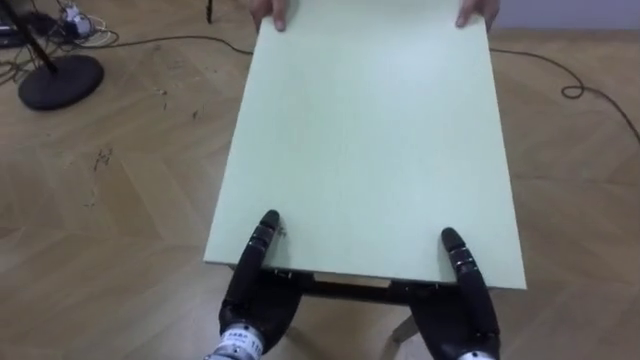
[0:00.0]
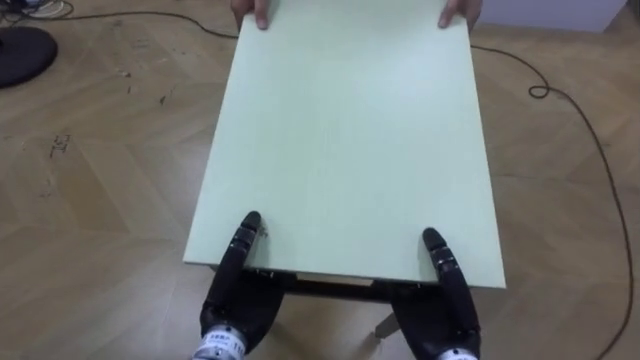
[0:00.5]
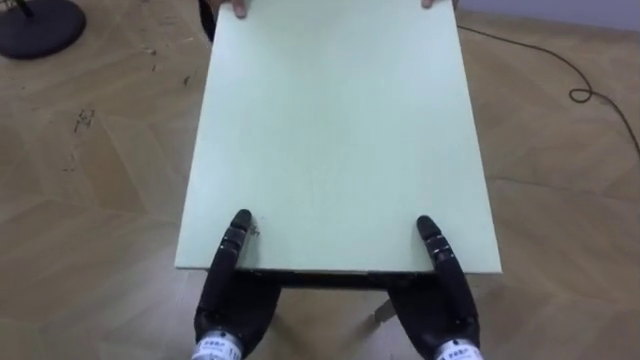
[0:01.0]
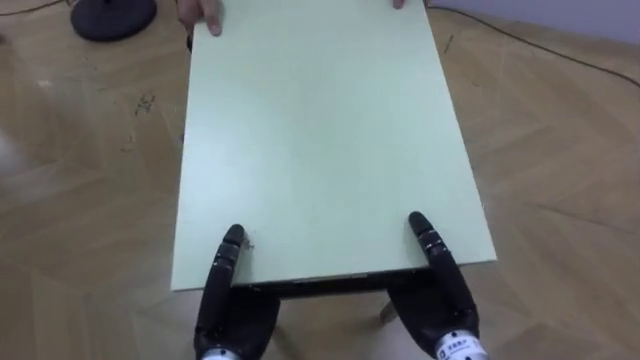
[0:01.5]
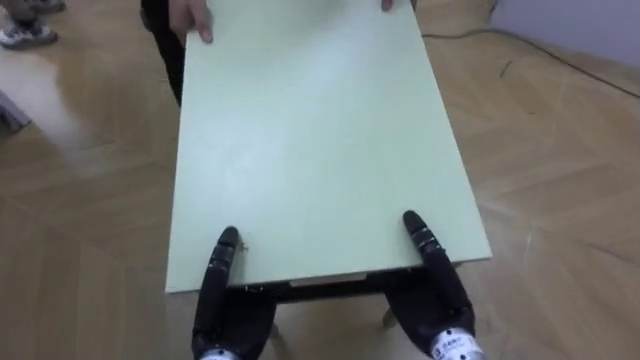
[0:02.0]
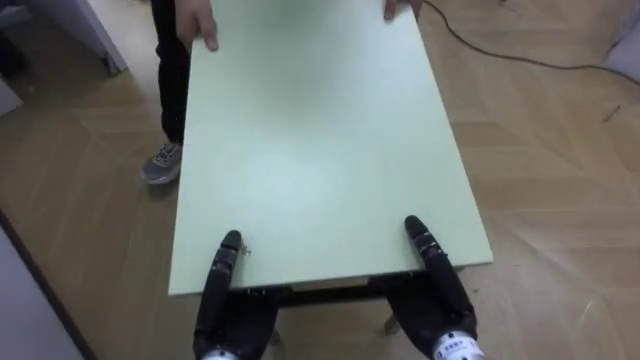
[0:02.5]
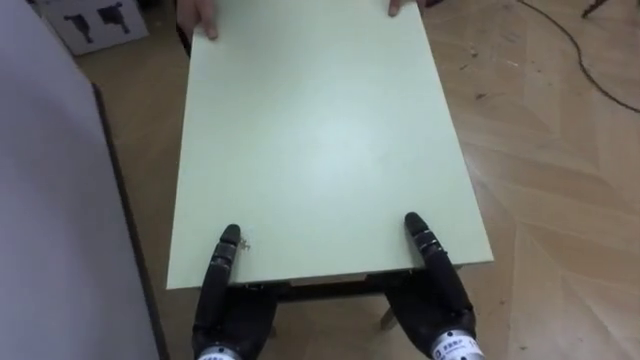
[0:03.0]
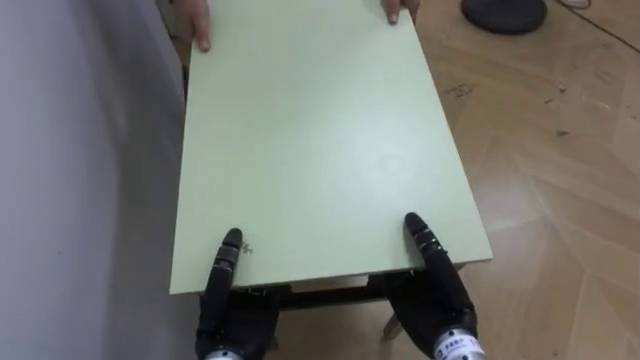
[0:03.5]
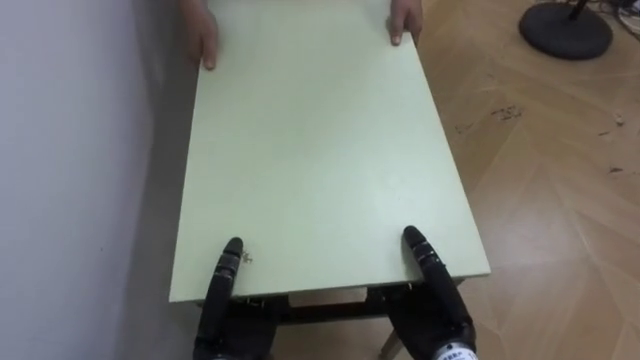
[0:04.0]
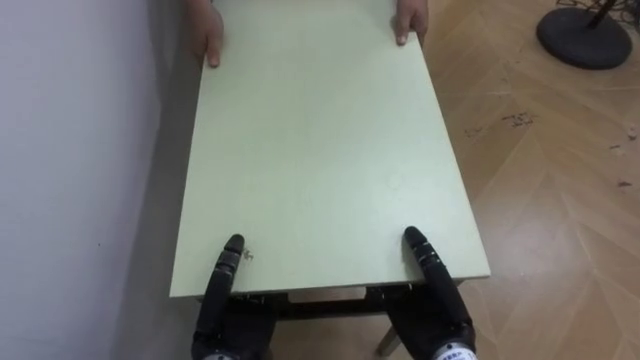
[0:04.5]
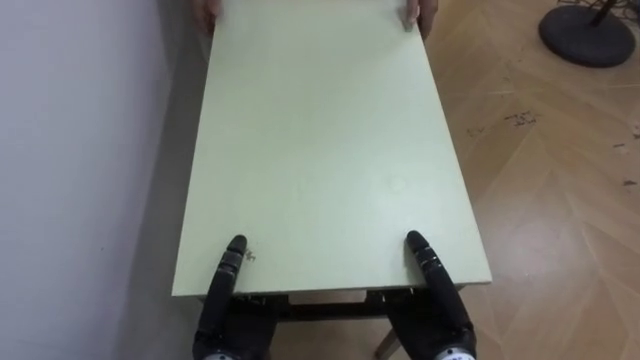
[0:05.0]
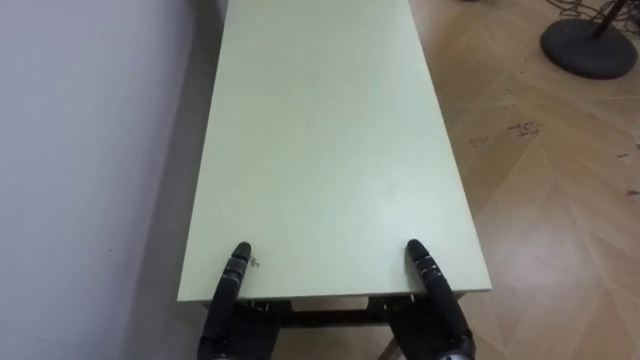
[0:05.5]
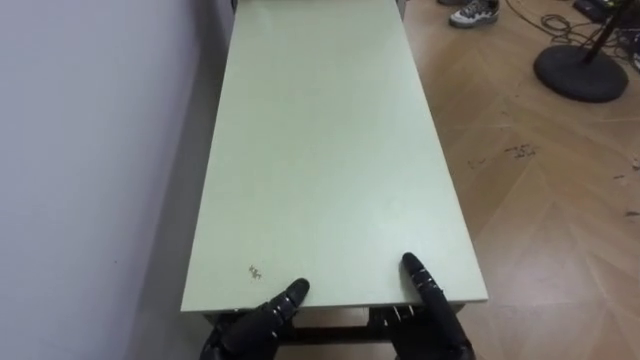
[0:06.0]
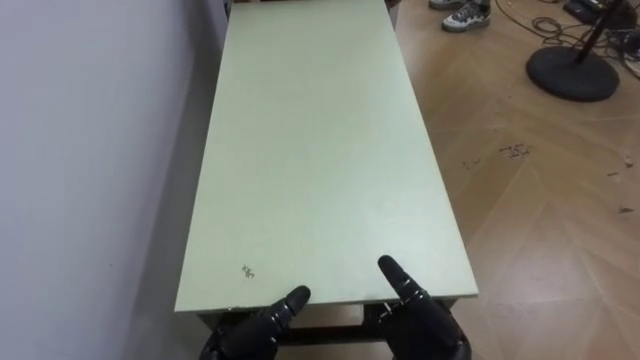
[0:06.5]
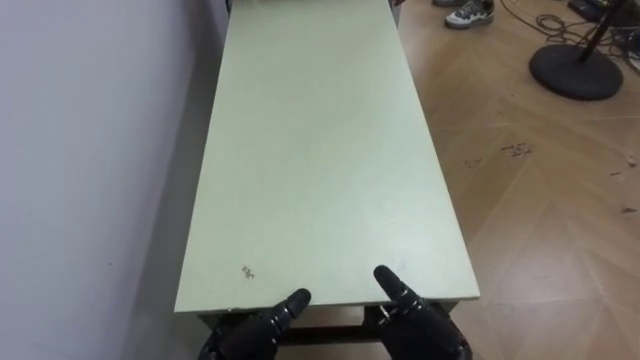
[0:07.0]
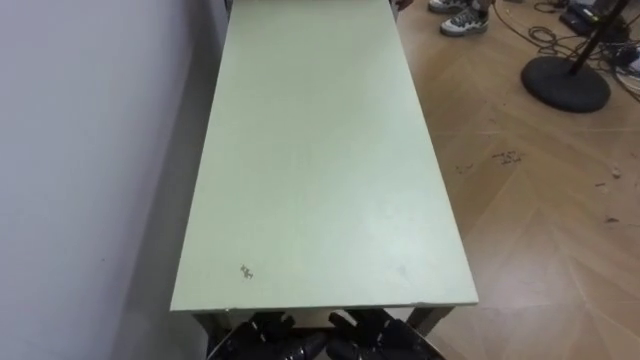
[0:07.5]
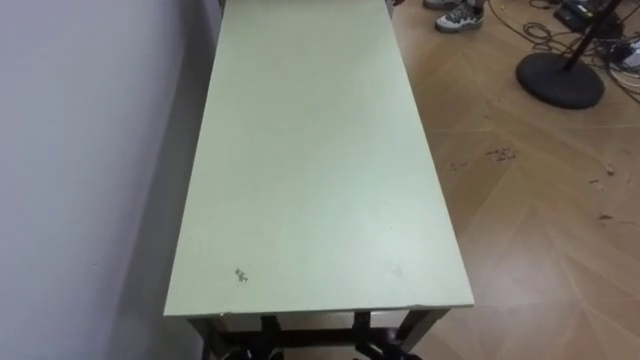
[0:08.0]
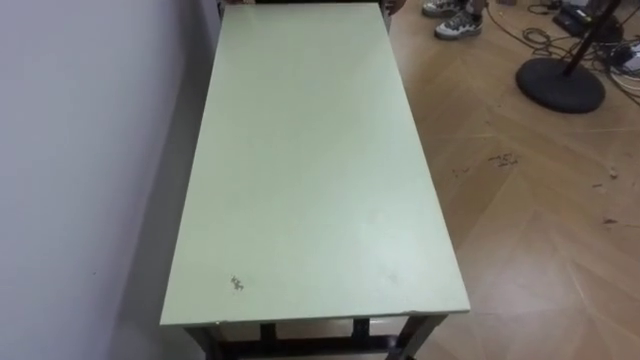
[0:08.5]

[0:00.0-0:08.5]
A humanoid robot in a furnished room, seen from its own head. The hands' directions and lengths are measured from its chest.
Task of the whole recording: Move the table to the back left with someone.
0:02.0 to 0:04.0: The robot's body swings approximately 55 degrees to its left.
0:04.0 to 0:06.5: The left hand opens up; the right hand opens its fingers.

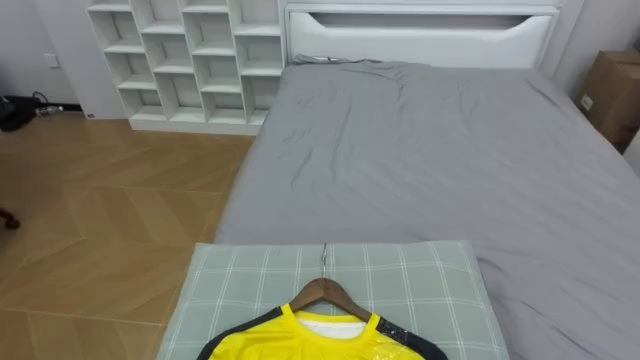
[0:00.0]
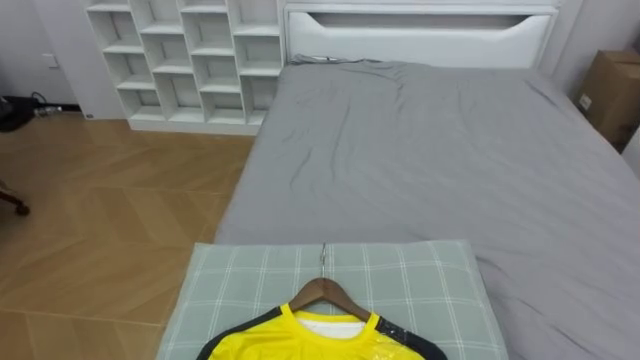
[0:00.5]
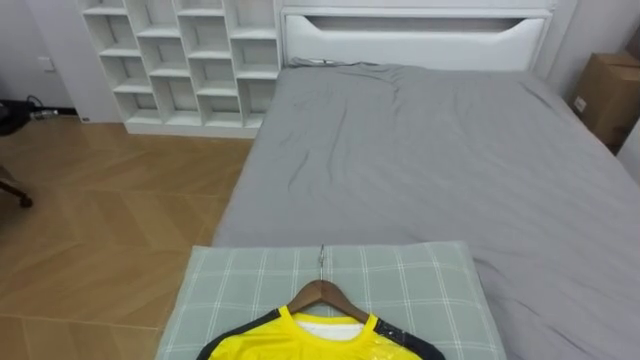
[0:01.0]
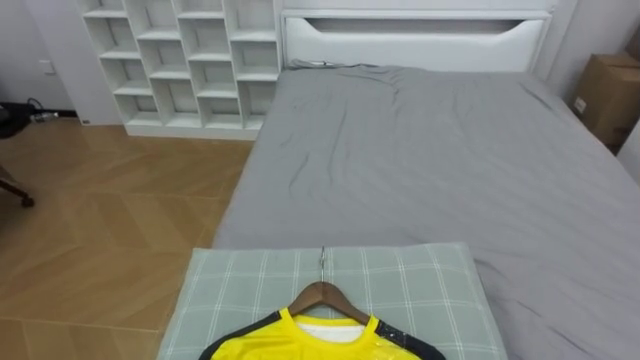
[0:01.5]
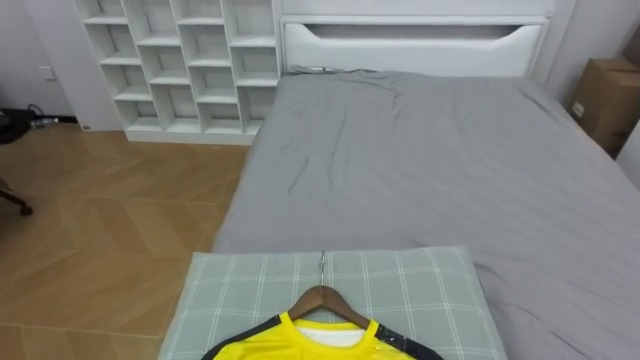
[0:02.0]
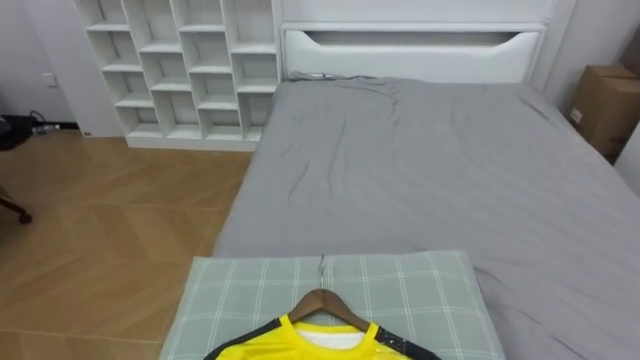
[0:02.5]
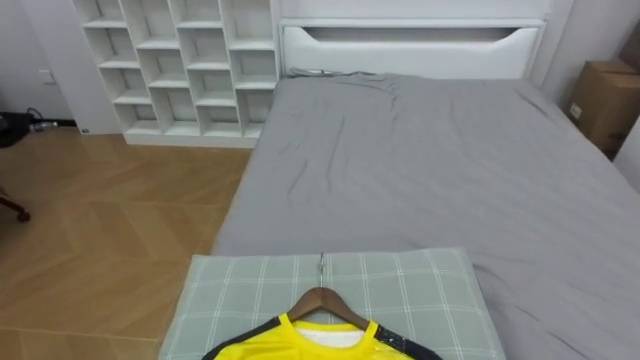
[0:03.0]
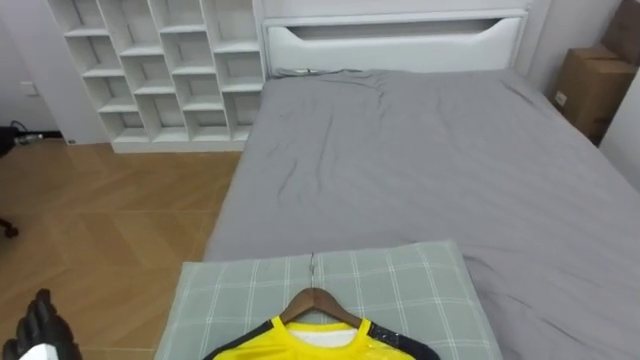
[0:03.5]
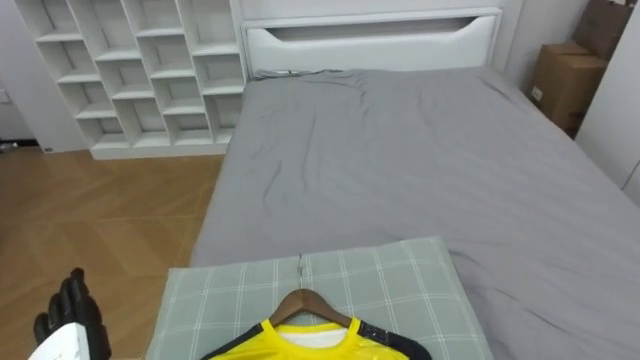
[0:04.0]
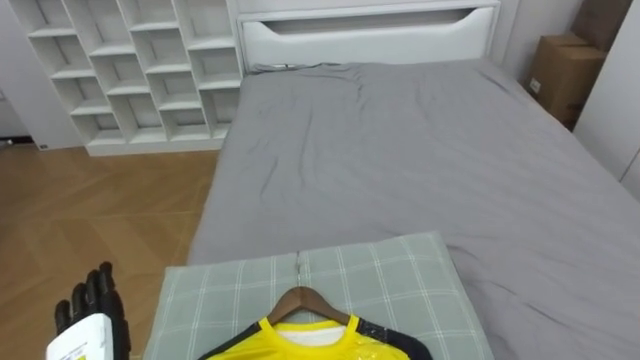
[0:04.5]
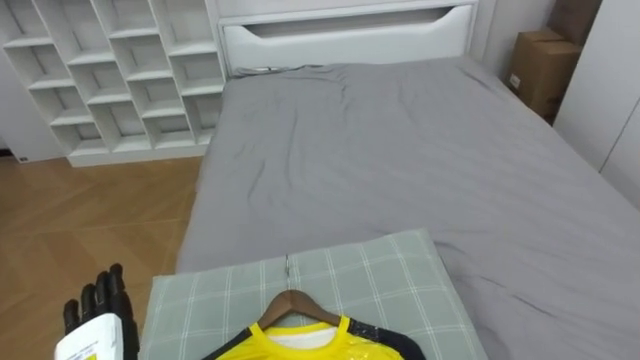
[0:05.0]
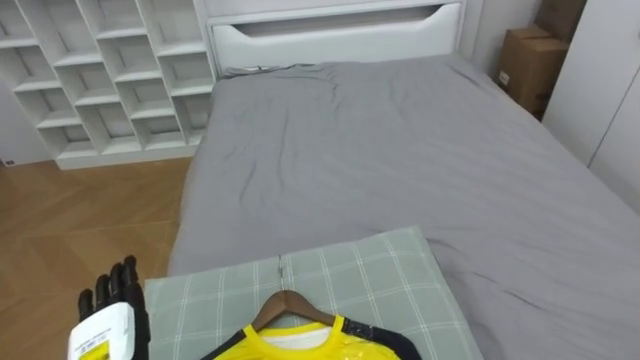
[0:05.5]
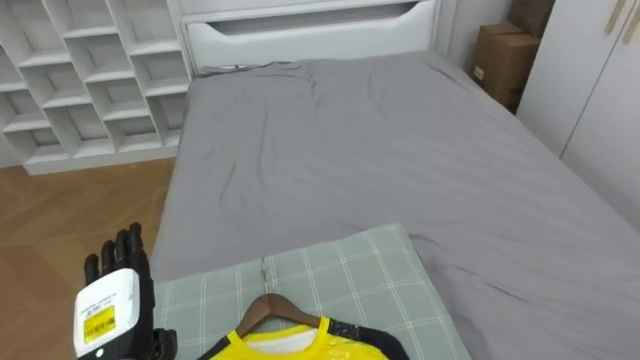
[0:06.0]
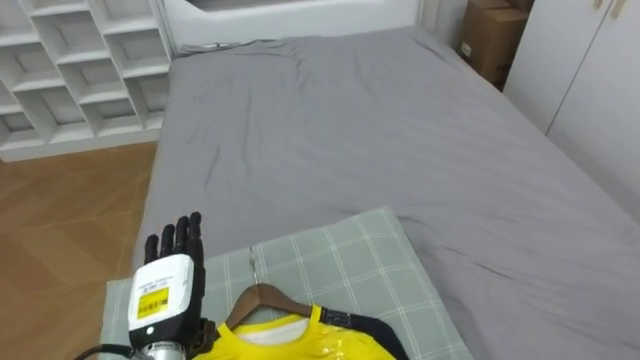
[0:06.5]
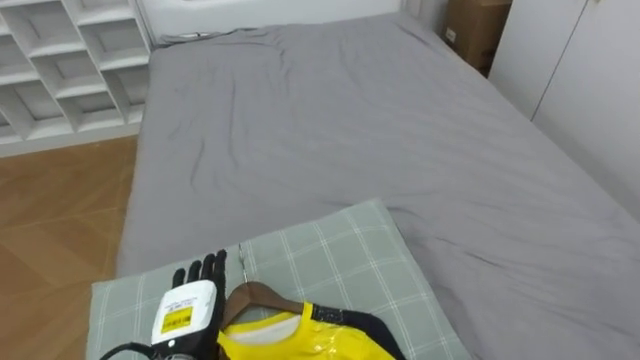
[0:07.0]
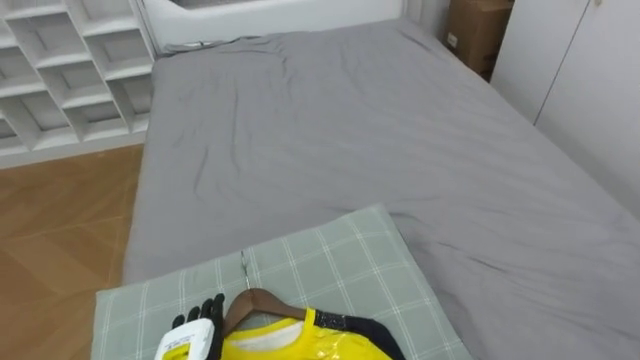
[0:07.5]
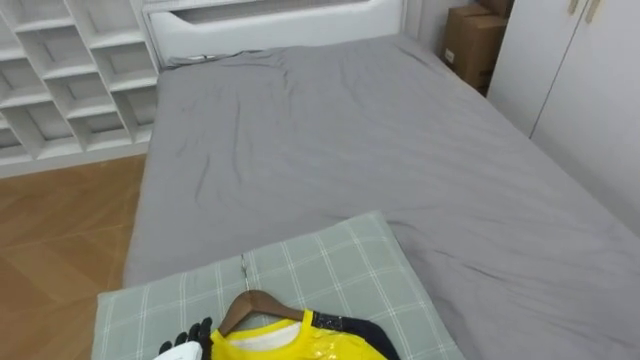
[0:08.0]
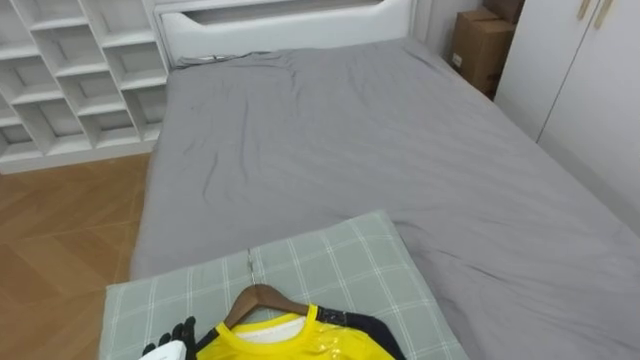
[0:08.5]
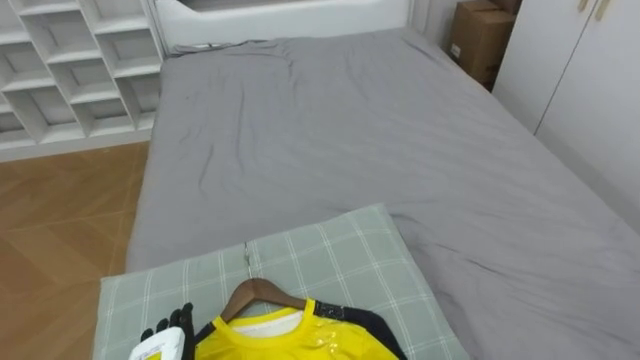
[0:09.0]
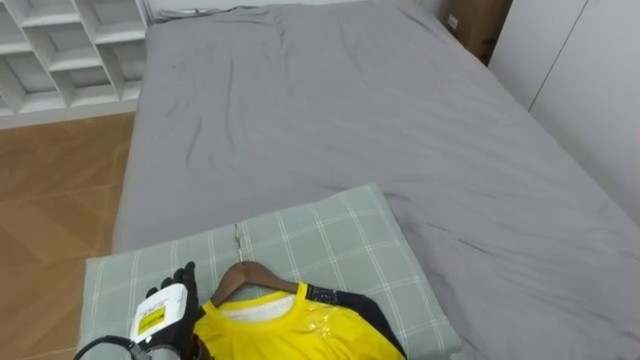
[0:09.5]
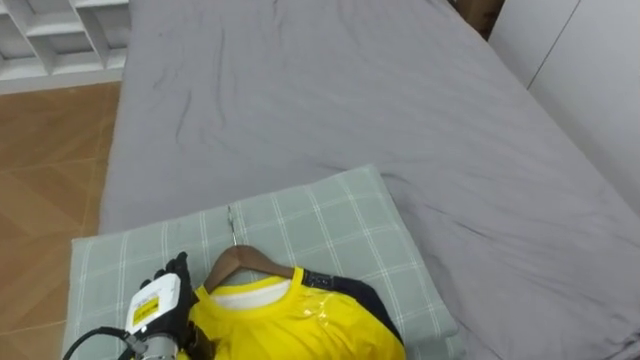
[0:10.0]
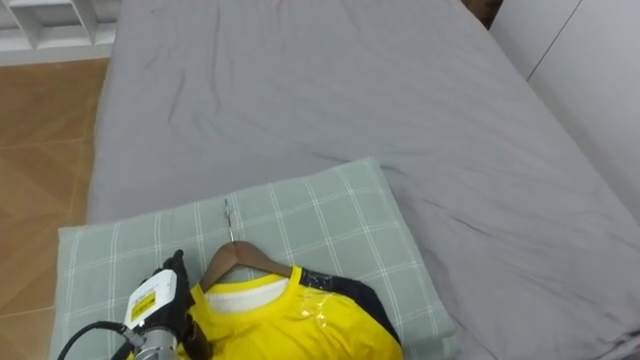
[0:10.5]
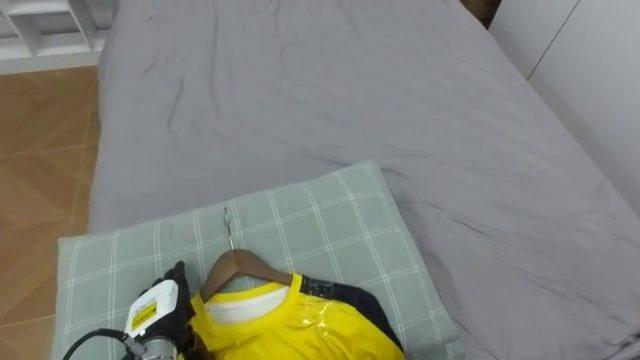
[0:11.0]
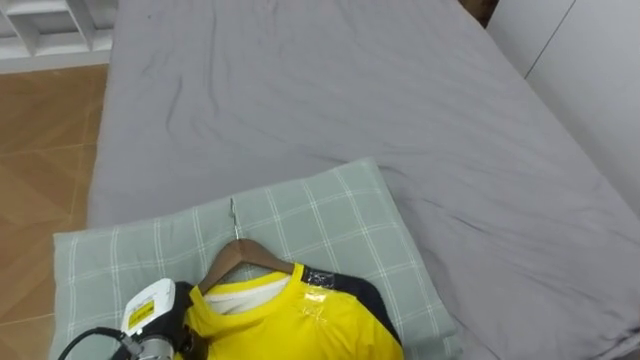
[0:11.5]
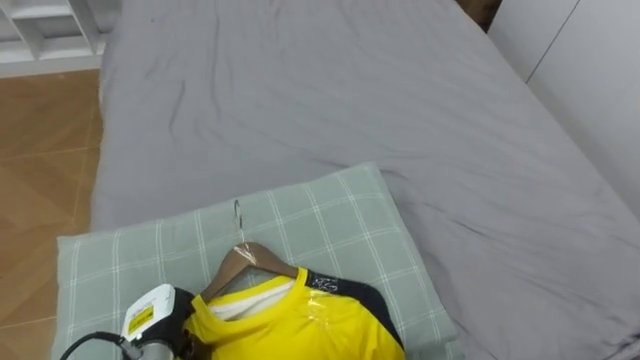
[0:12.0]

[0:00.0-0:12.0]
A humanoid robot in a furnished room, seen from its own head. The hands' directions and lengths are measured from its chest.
Task of the whole recording: Pick up the yellow shirt on the bed and hang it on the clothes rack on the right.
0:10.0 to 0:12.0: The left hand closes.
